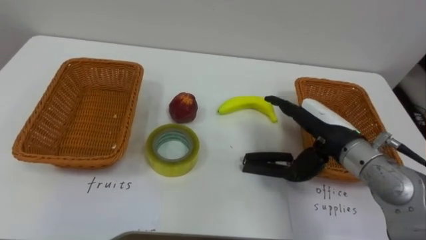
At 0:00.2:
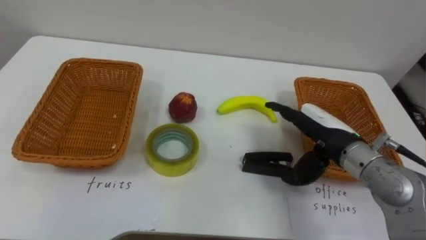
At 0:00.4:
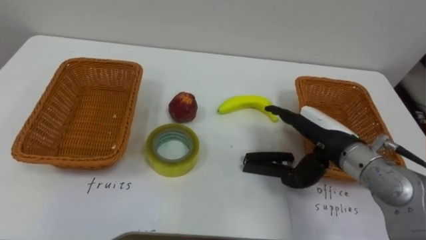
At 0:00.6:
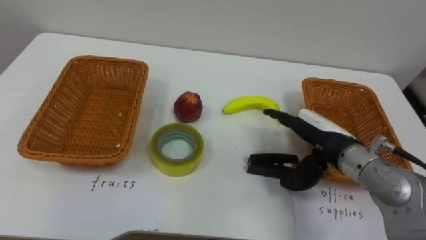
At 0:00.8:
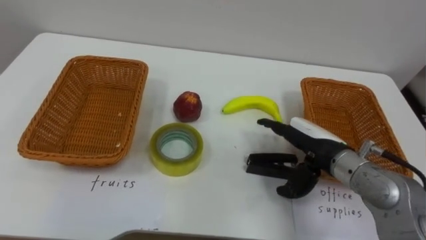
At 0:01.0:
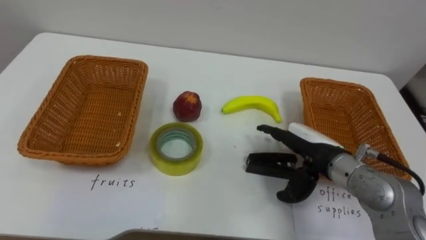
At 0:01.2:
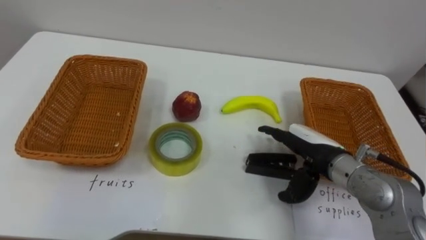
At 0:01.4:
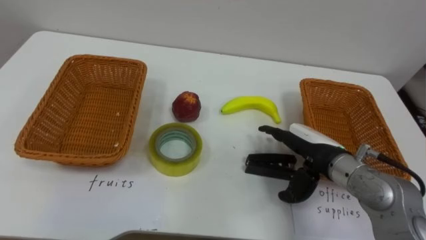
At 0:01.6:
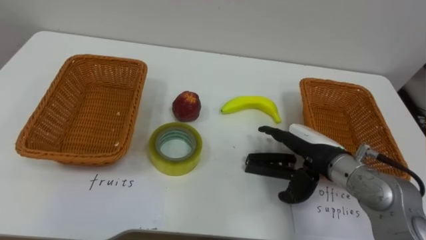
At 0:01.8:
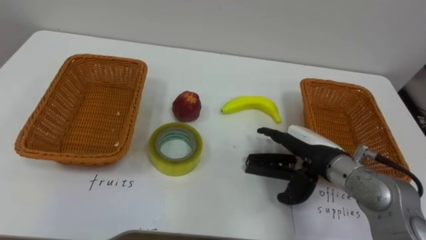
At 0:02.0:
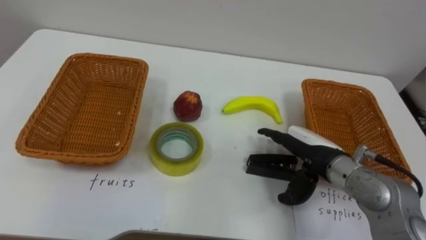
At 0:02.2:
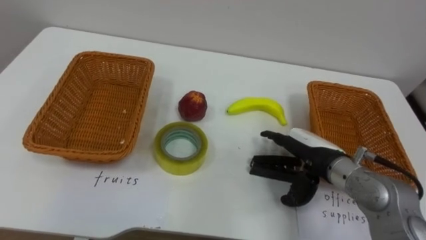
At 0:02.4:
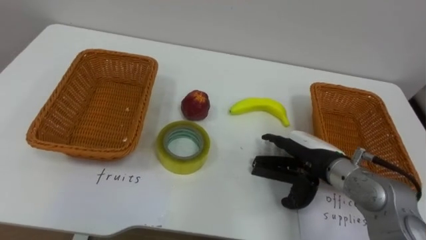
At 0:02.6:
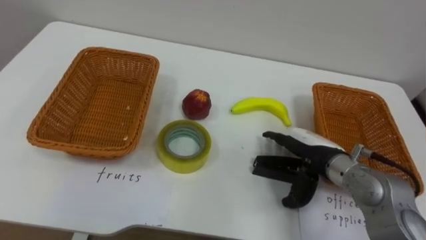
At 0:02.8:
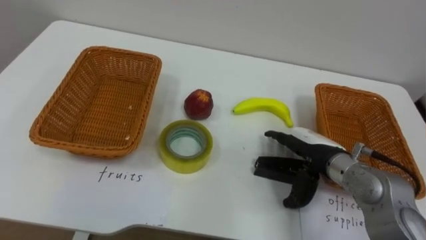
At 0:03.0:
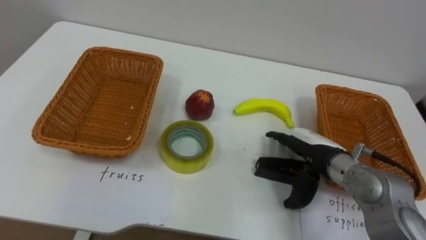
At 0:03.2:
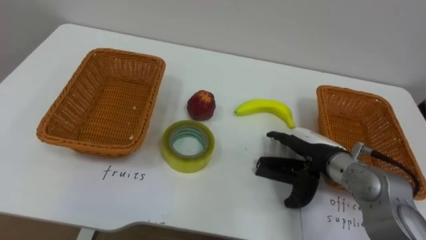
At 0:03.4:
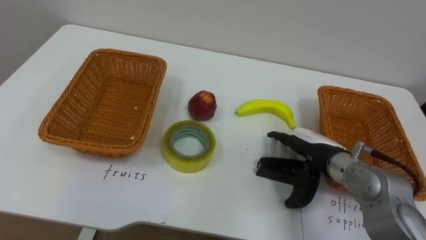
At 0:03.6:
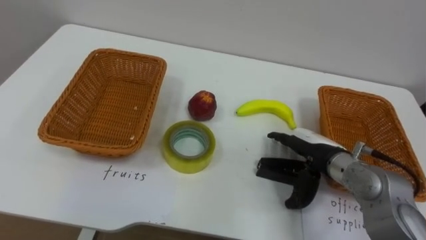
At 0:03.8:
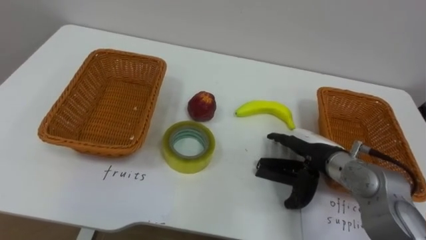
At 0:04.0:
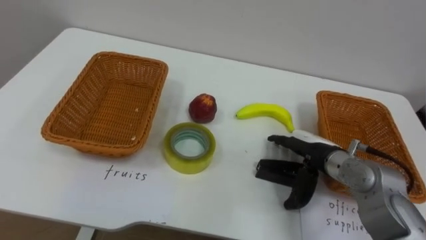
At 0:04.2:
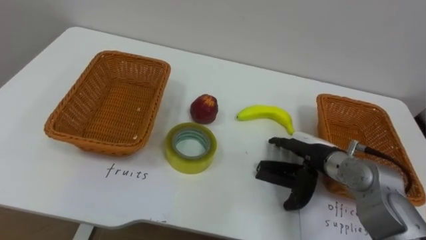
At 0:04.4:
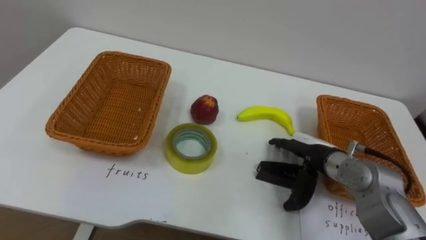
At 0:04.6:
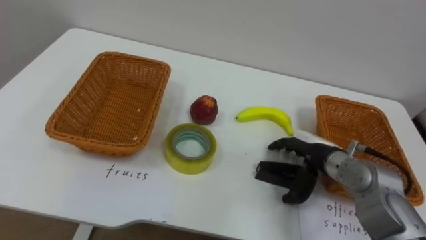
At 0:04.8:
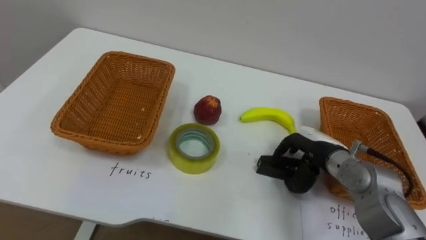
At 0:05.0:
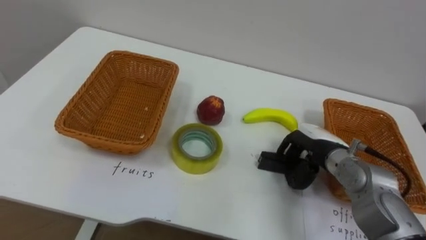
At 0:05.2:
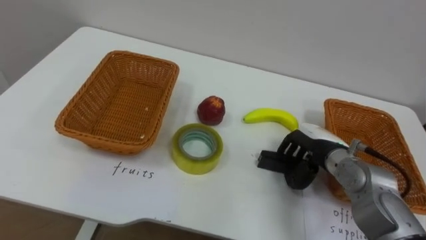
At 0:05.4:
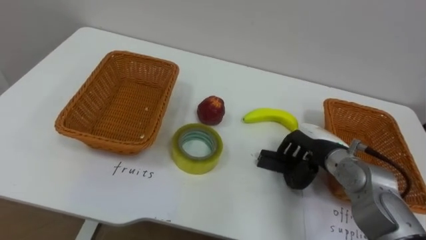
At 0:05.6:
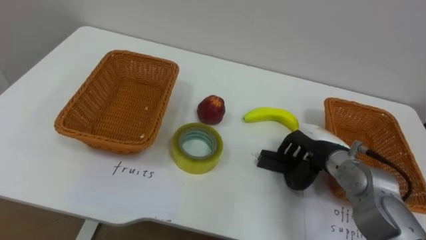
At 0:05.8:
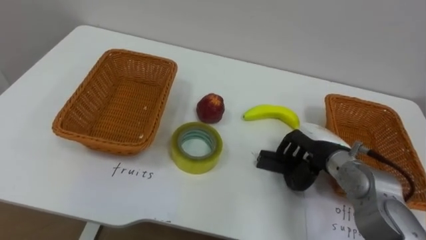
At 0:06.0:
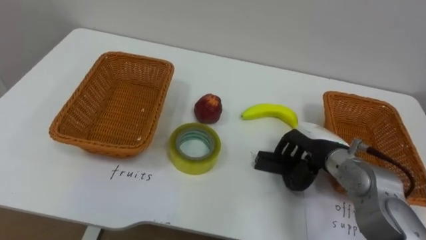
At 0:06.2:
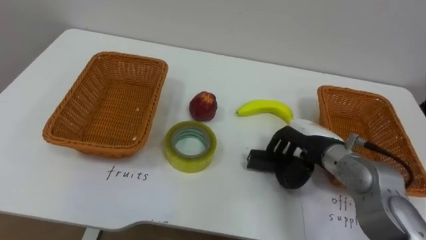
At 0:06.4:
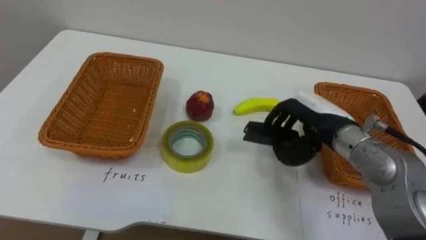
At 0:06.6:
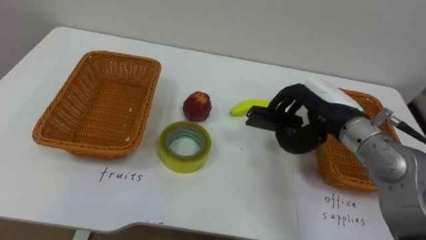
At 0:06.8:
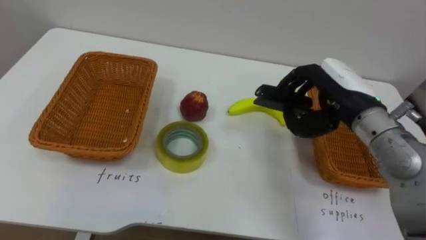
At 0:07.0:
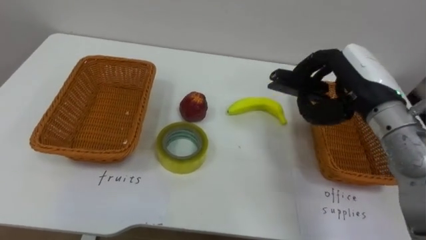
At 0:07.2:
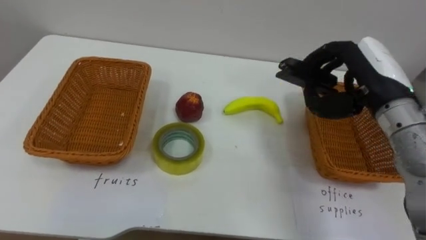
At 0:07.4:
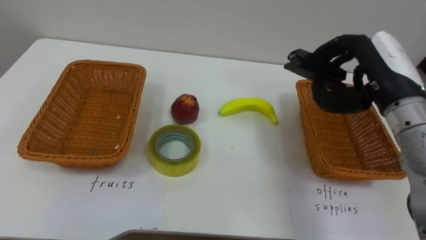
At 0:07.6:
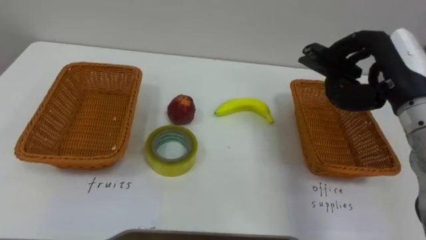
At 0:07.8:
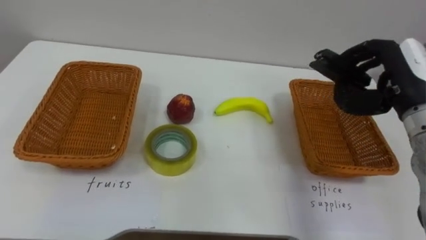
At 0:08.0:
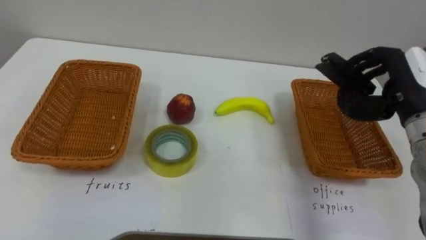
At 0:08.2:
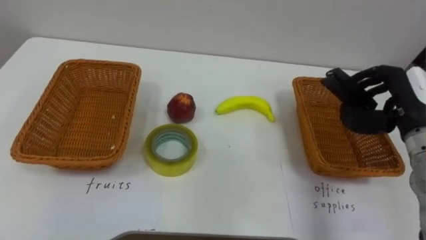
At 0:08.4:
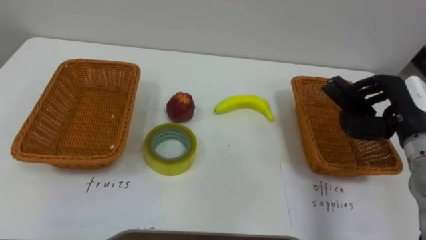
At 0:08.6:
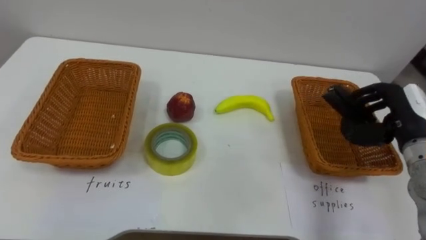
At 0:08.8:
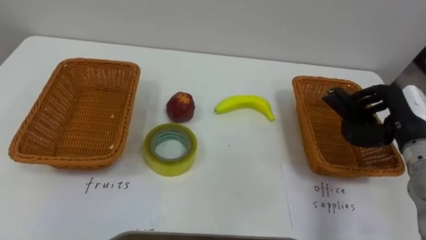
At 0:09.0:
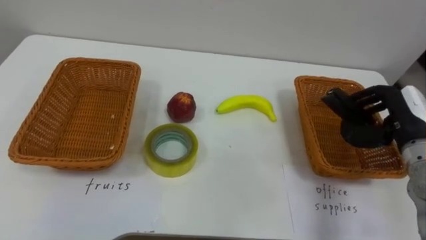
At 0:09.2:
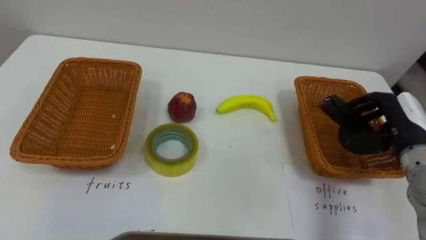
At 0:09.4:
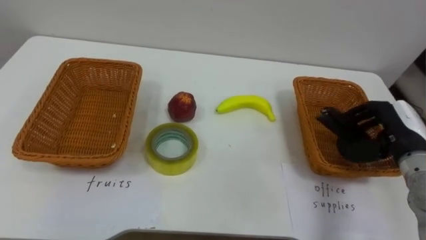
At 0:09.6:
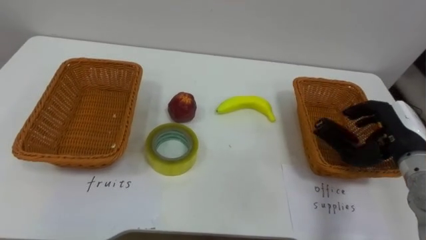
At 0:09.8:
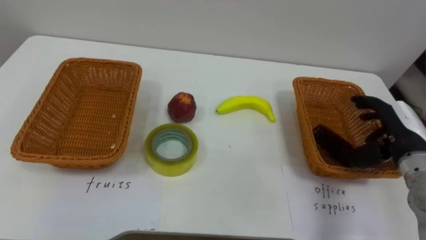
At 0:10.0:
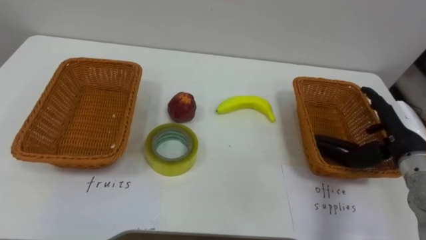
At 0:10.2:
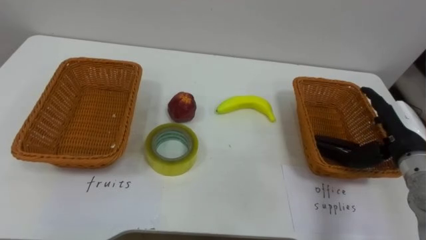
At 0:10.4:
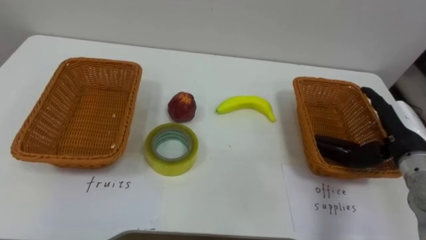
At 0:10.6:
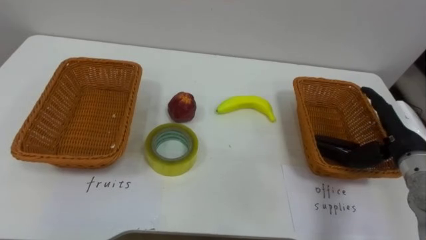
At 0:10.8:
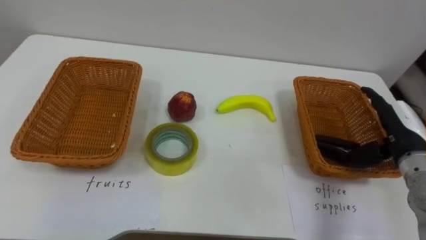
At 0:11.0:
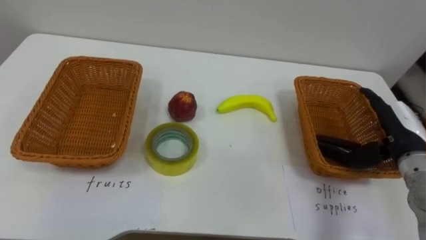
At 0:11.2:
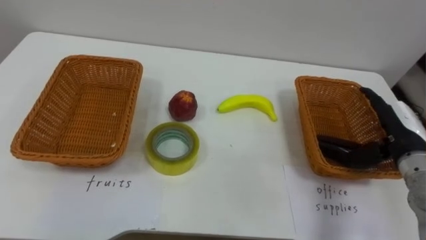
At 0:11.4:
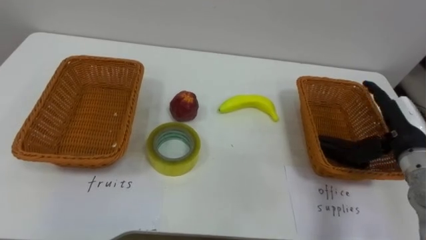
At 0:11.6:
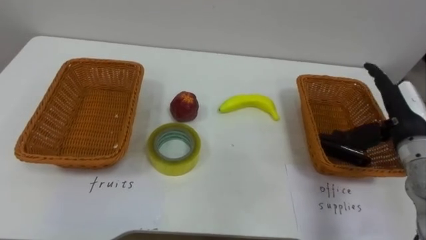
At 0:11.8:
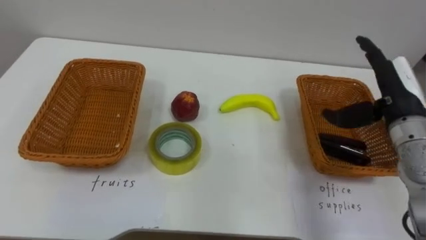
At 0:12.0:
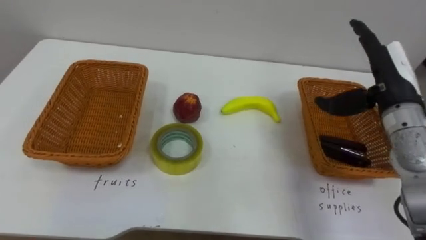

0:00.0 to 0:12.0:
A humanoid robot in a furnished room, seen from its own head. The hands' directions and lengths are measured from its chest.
Task of the whole recording: Separate the items on the table and place them into the two baskets.
0:04.4 to 0:06.0: The right hand closes up.
0:06.0 to 0:07.6: The right hand heads upward and to the right, covering some 20 cm.
0:07.6 to 0:09.0: The right hand goes some 10 cm downward and to the right.
0:09.0 to 0:10.4: The right hand opens its fingers.
0:10.4 to 0:12.0: The right hand goes approximately 10 cm upward.

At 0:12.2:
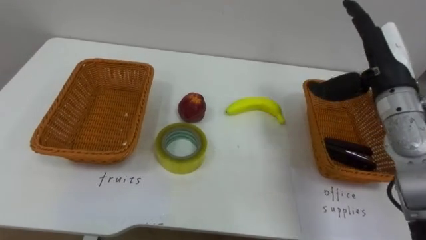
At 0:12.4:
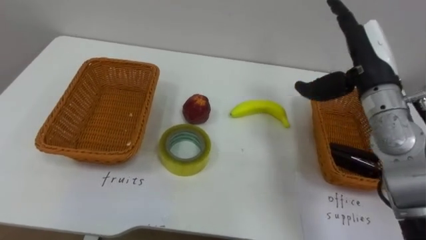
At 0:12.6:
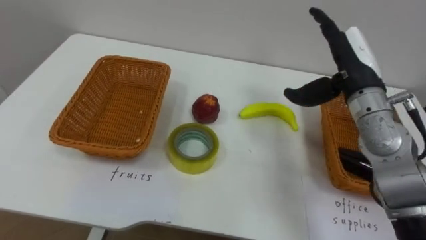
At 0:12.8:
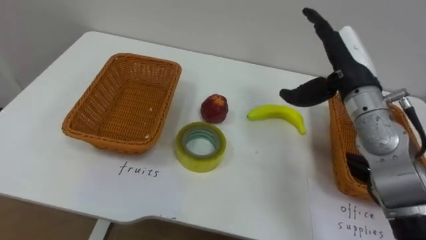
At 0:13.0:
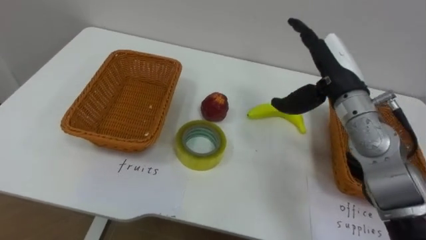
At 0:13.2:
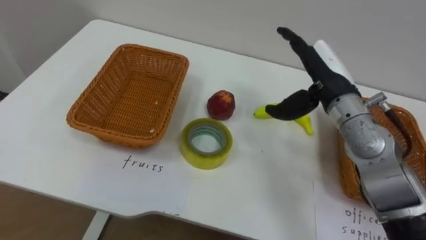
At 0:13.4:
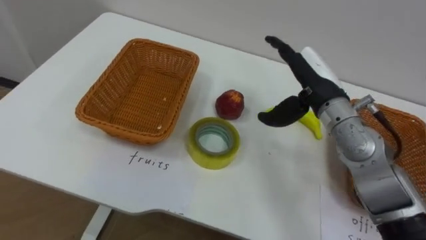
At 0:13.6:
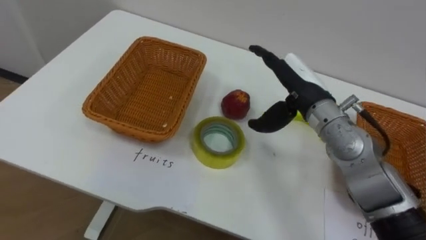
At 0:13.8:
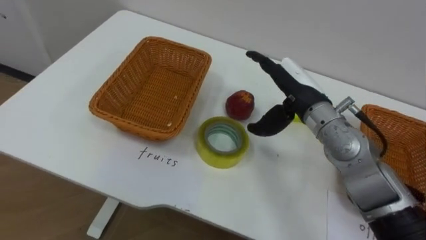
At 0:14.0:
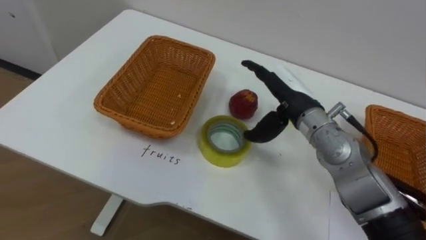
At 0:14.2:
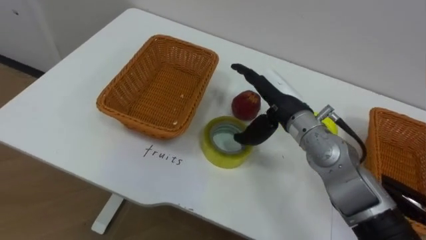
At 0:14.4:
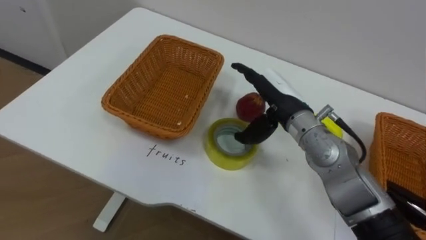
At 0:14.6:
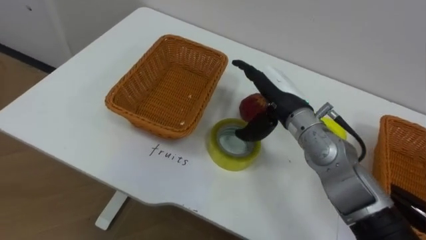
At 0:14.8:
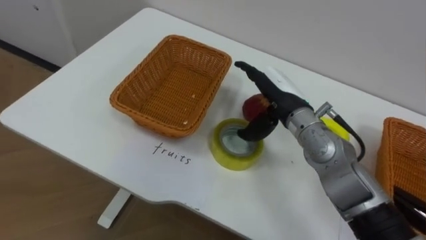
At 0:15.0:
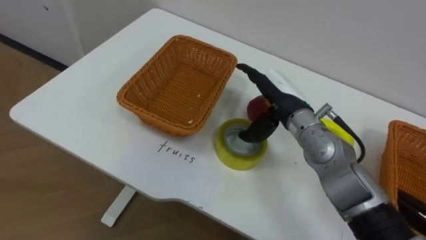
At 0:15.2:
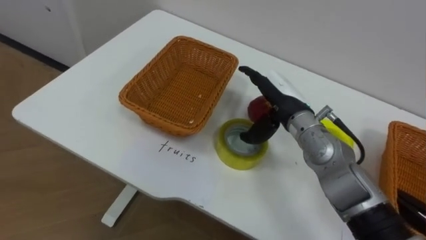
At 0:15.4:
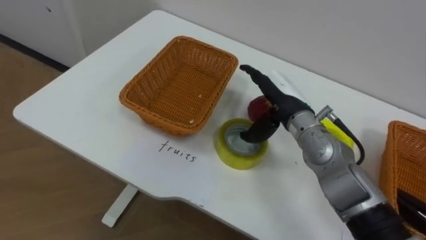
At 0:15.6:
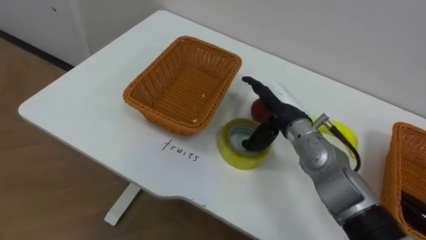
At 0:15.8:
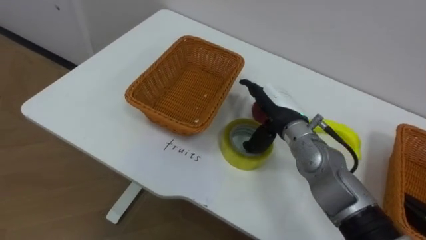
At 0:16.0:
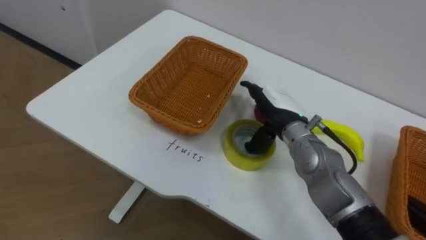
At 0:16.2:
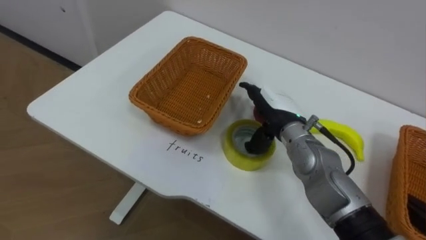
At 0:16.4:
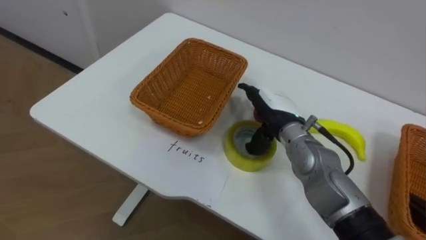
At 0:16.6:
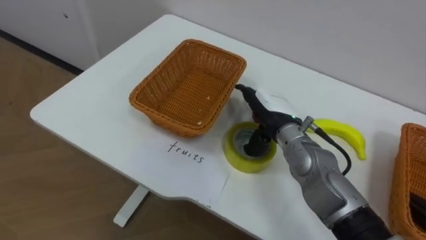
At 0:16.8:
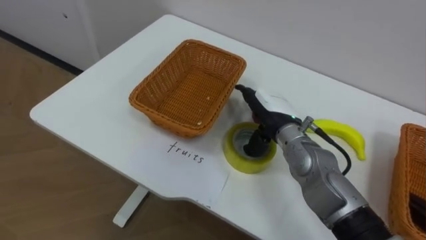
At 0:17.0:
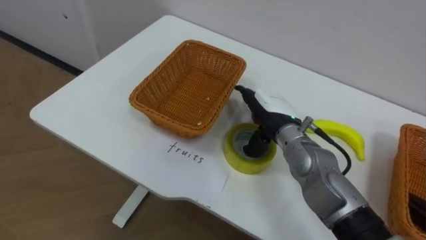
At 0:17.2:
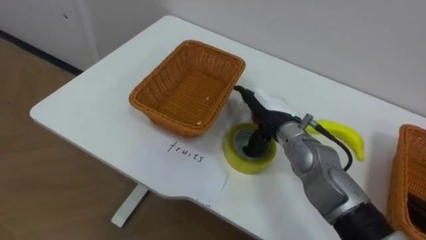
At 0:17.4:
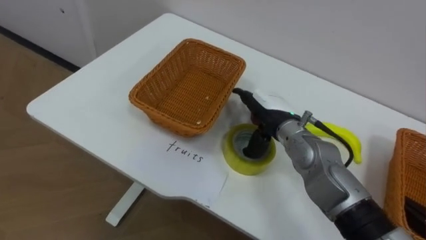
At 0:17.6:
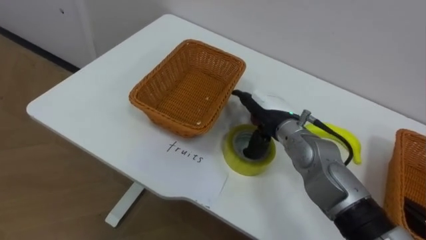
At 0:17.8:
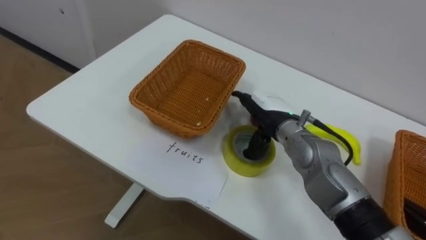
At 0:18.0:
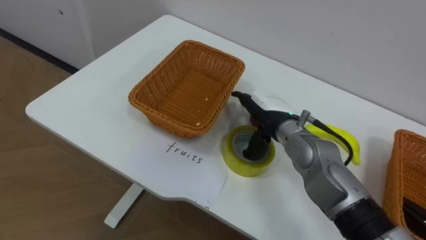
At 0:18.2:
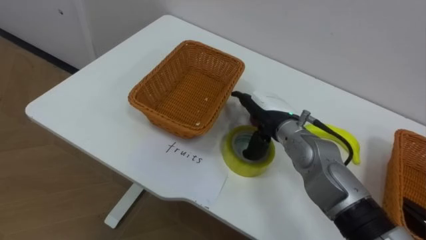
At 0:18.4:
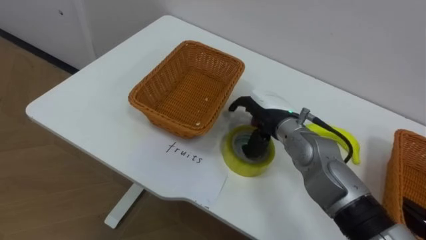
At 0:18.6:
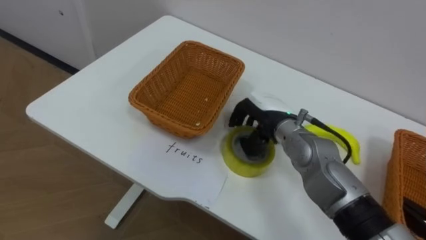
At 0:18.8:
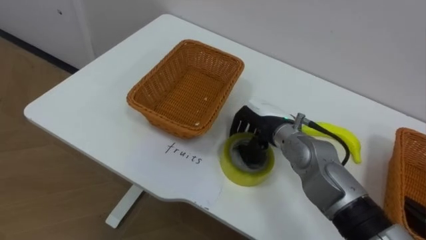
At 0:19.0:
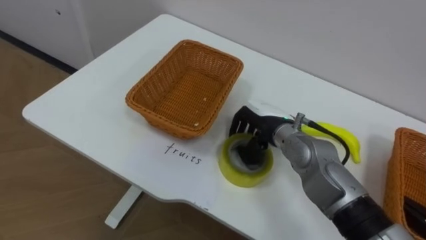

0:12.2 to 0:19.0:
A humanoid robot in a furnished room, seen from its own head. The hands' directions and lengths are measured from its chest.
Task of the whole recording: Separate the items on the table and place them into the two baskets.
0:12.2 to 0:13.6: The right hand moves to the left, some 10 cm.
0:17.6 to 0:19.0: The right hand closes up.
